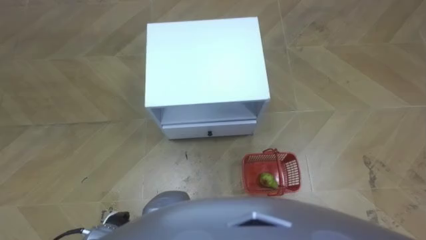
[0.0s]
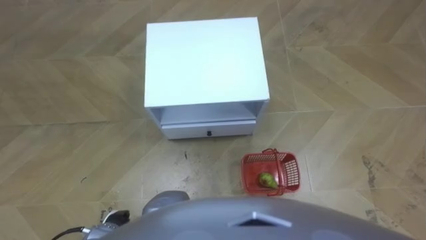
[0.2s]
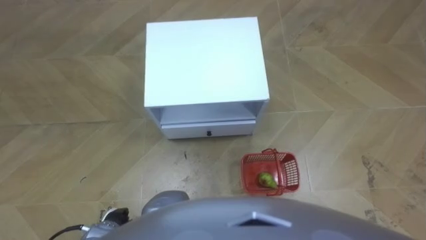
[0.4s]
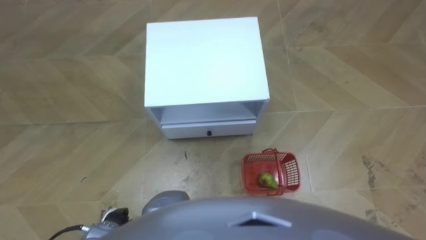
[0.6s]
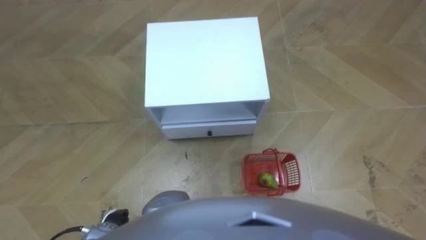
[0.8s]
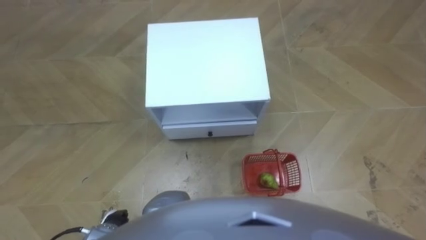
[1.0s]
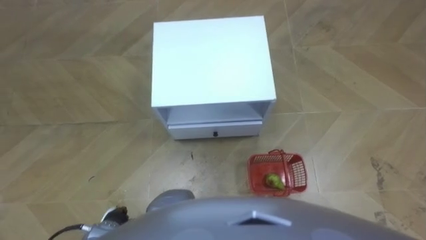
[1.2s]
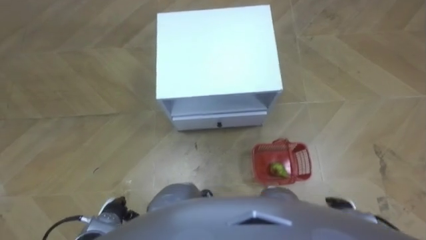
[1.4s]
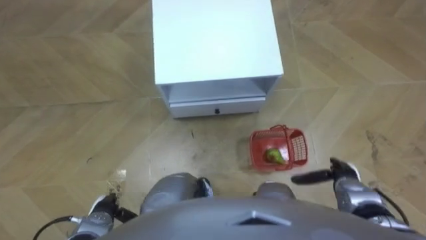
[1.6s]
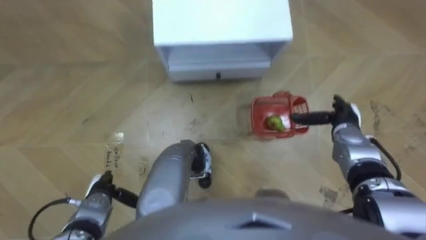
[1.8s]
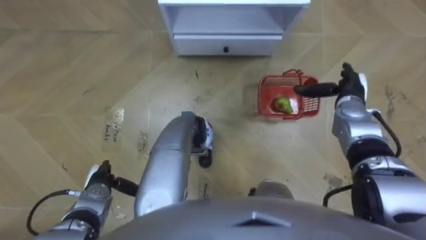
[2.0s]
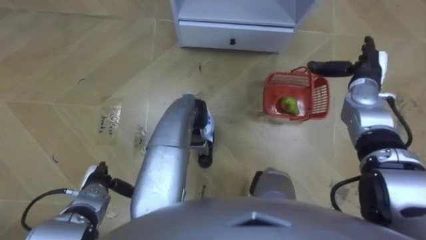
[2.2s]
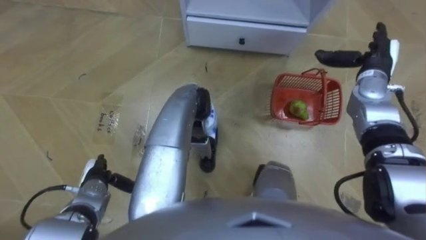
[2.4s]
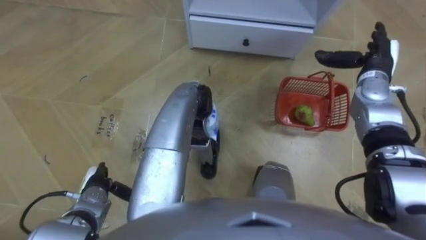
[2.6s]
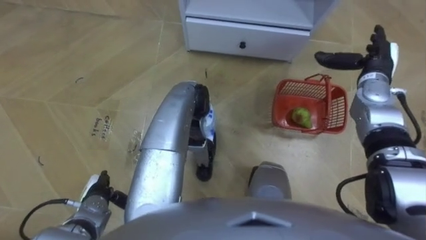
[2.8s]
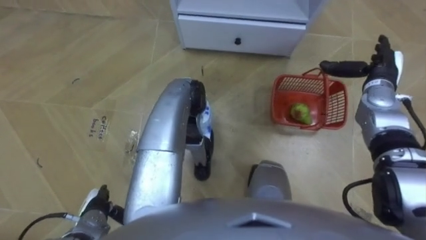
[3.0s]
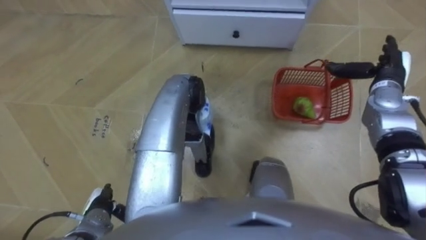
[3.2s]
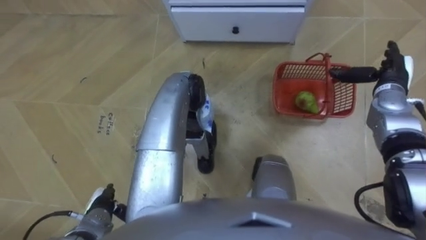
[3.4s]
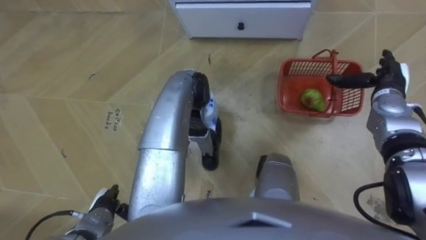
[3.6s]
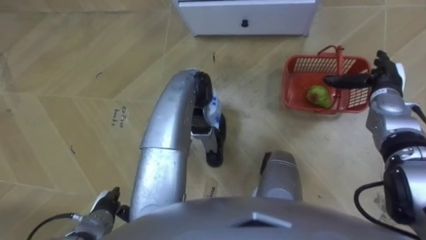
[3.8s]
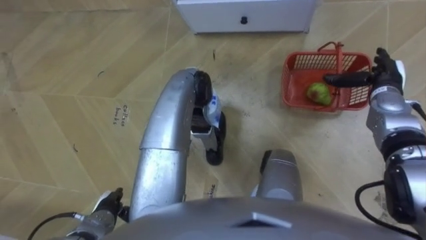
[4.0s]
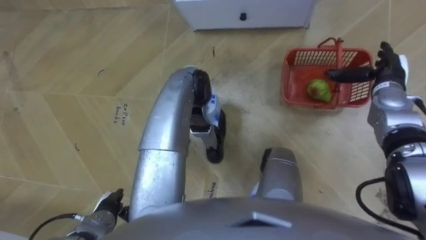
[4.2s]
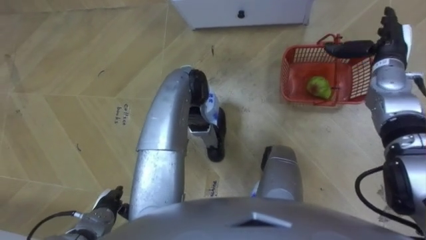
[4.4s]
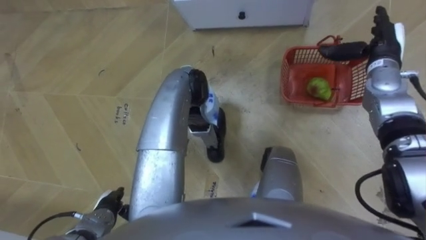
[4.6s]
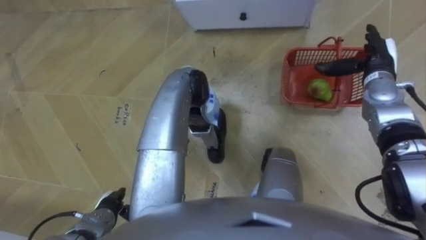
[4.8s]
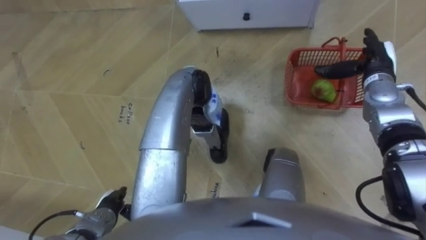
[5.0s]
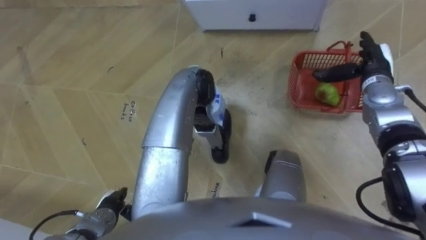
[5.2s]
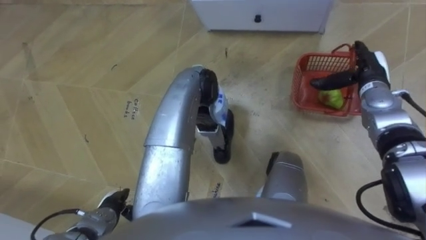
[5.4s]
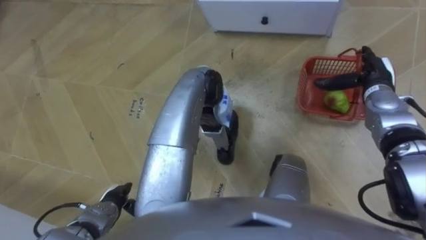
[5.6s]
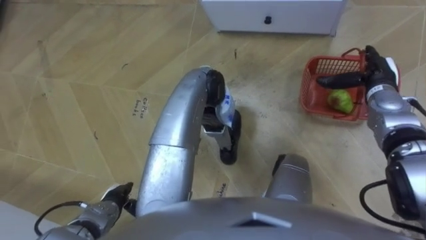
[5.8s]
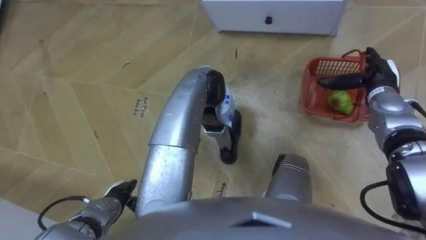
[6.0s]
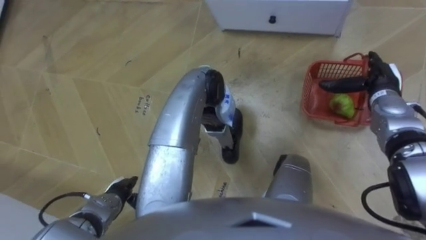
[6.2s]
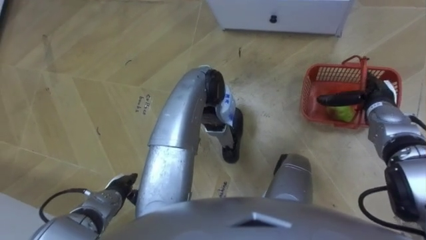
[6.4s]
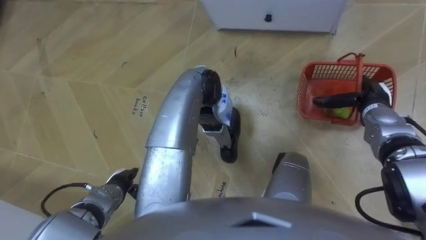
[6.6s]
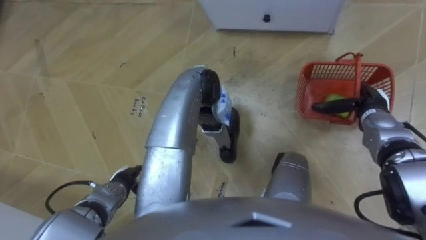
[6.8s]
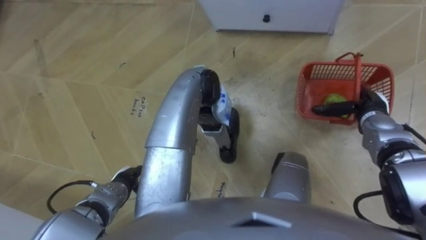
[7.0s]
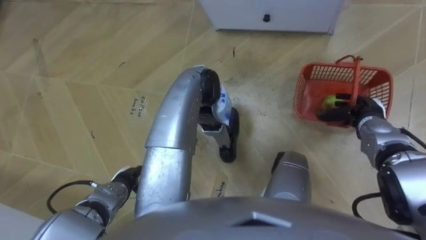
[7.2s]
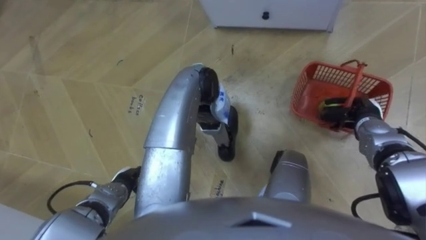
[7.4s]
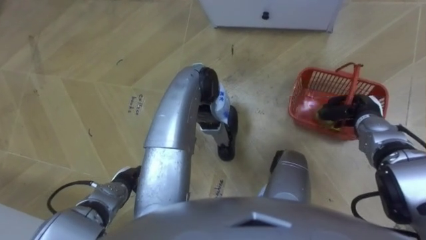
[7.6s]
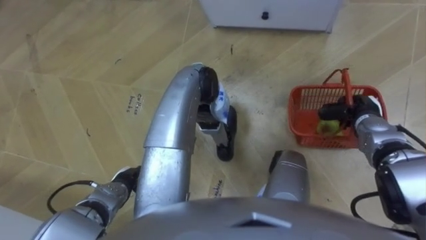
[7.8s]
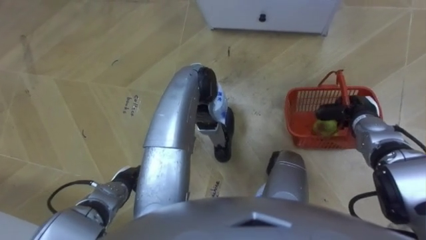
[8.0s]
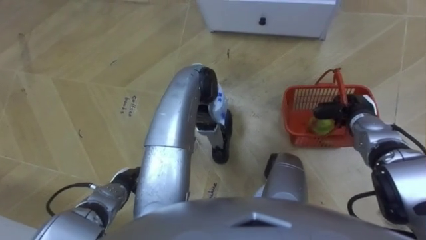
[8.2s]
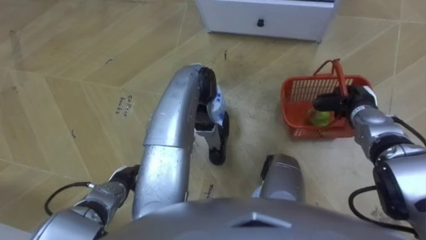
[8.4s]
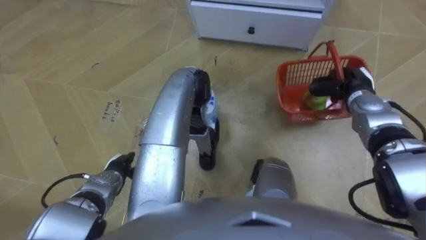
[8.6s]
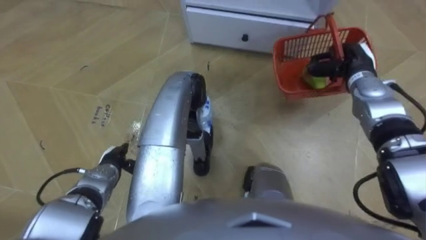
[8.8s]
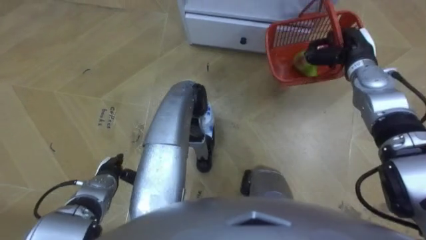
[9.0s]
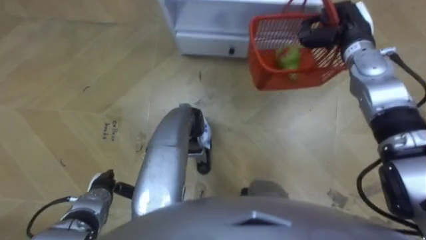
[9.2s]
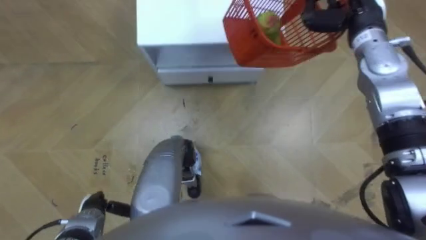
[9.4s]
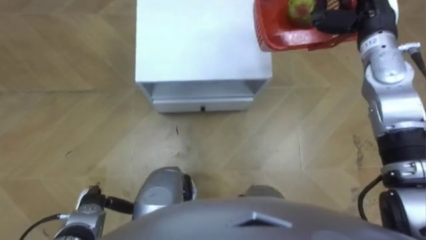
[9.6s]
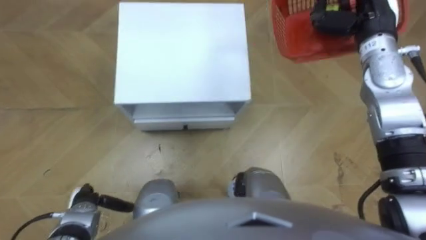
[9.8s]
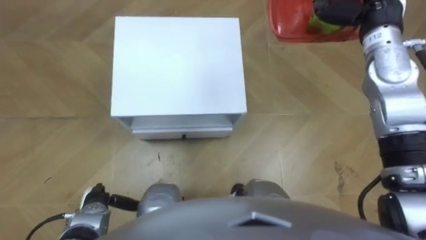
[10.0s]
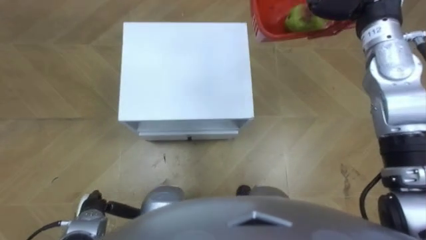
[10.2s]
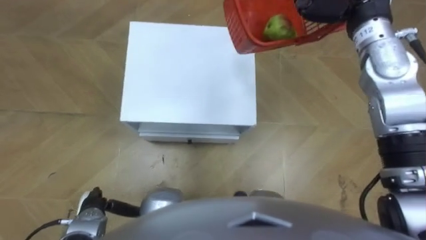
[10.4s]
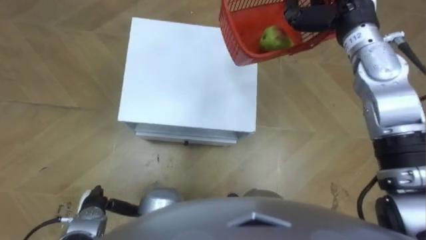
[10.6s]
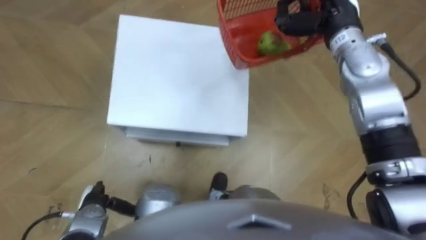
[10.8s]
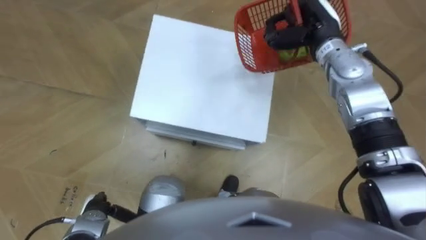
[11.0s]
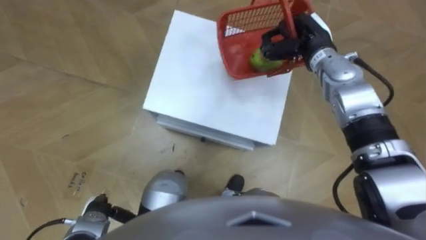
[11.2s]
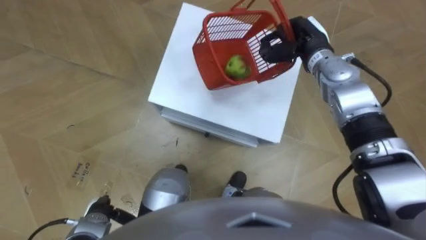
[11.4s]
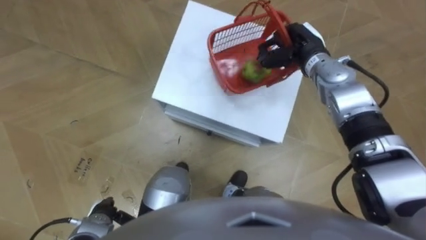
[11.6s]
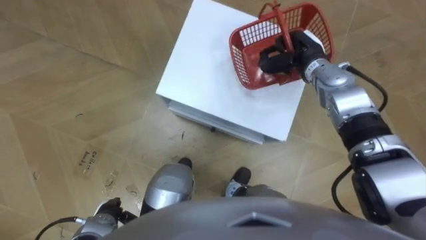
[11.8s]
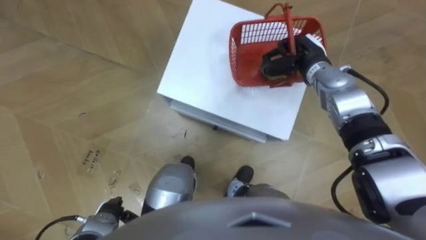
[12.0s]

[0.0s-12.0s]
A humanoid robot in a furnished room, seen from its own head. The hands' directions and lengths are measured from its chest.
Task of the whole recording: Pick up the fruit basket from the floor and place it on the cabinet.
1.6s to 3.0s: The right hand is displaced forward and upward by roughly 25 cm. Meanwhile the left hand moves approximately 10 cm forward and comes back.
4.4s to 6.0s: The right hand shifts approximately 5 cm downward.
6.0s to 7.6s: The right hand moves backward and downward, approximately 5 cm, and closes up.
7.6s to 9.0s: The right hand heads forward and upward, covering about 15 cm.
9.0s to 10.4s: The left hand heads backward, covering some 10 cm.

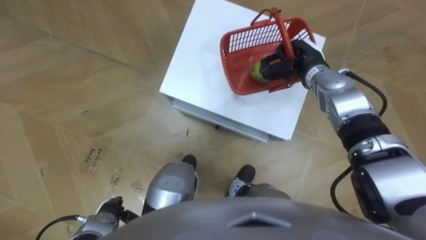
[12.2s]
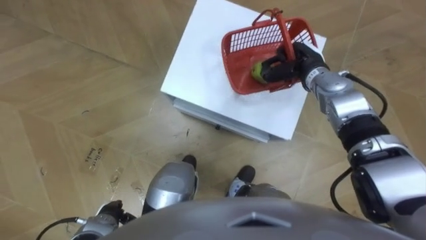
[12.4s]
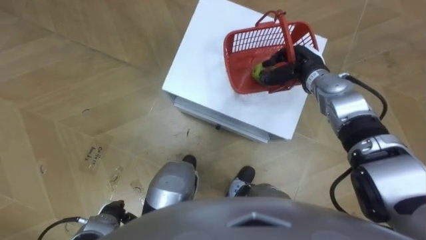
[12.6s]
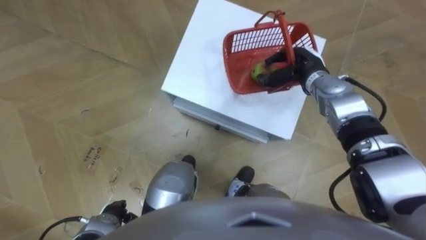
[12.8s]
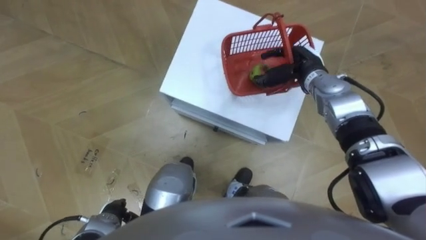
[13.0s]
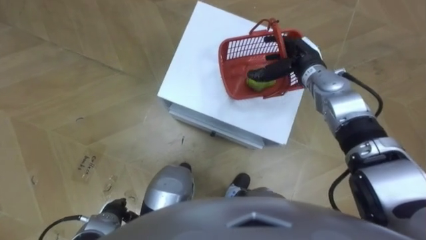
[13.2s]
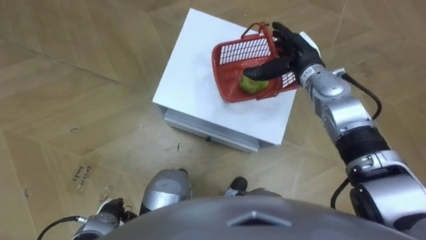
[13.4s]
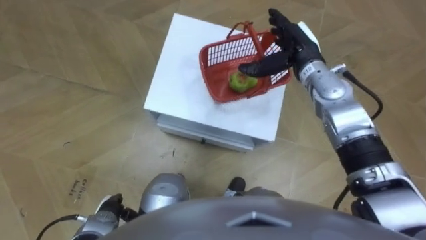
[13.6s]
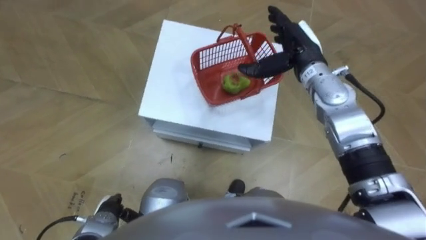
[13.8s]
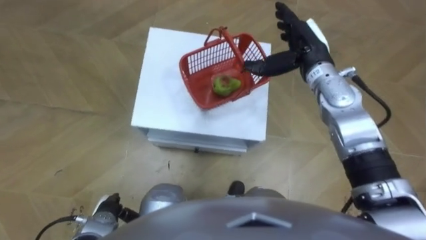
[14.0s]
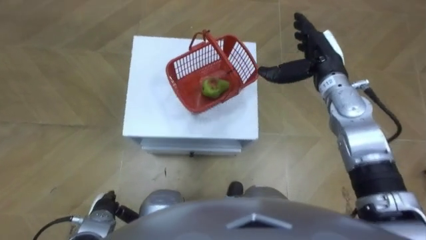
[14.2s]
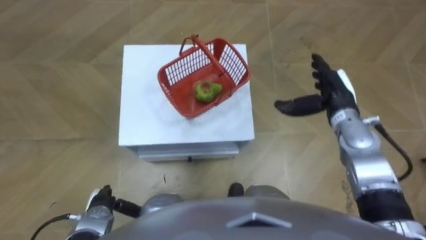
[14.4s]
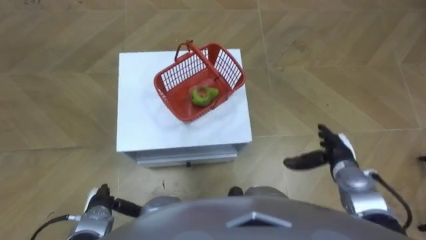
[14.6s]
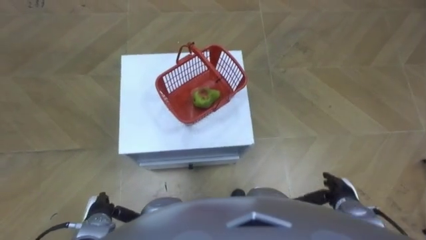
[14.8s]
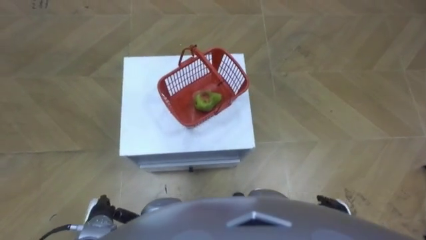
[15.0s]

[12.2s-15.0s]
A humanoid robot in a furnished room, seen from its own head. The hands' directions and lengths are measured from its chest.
Task of the whole recording: Pick up the fruit basket from the floor and place it on the cabinet.
12.2s to 13.6s: The right hand moves some 5 cm, and opens its fingers.
13.6s to 15.0s: The right hand shifts about 35 cm backward and downward.

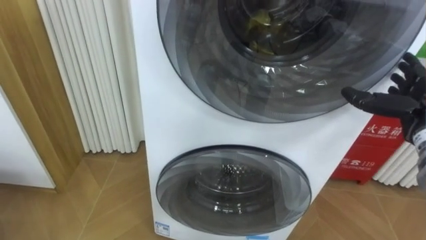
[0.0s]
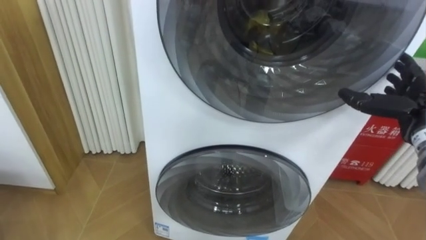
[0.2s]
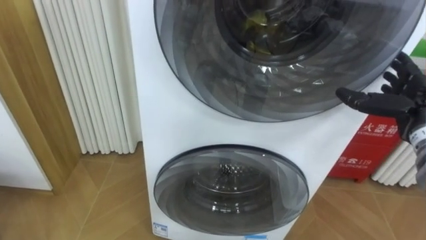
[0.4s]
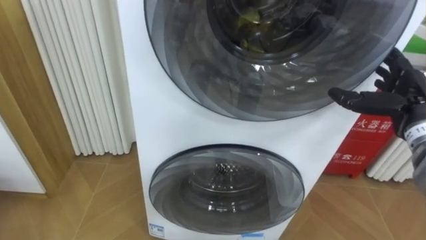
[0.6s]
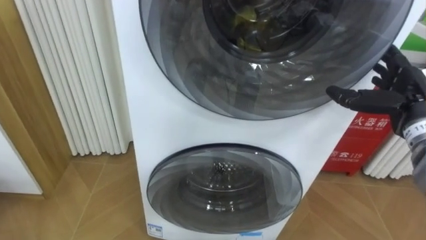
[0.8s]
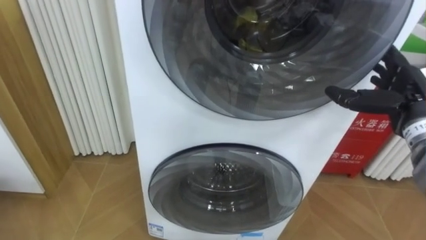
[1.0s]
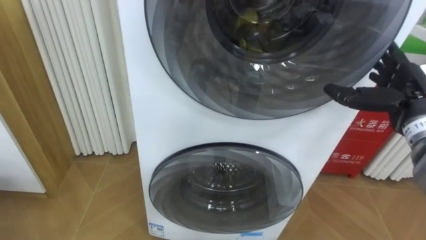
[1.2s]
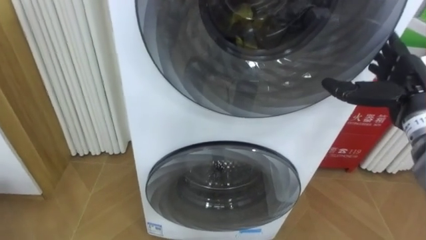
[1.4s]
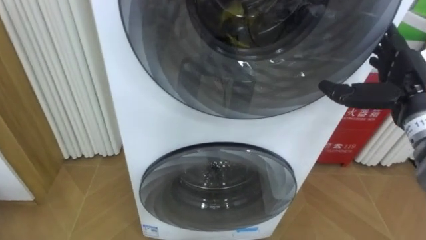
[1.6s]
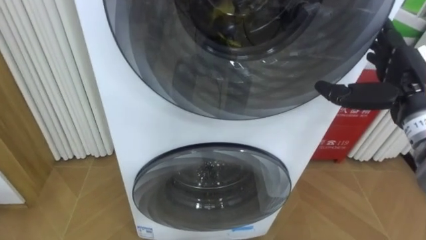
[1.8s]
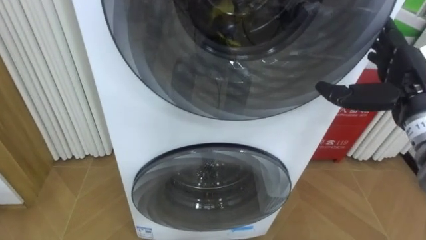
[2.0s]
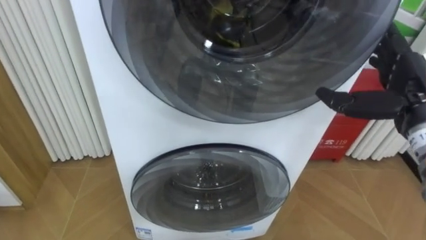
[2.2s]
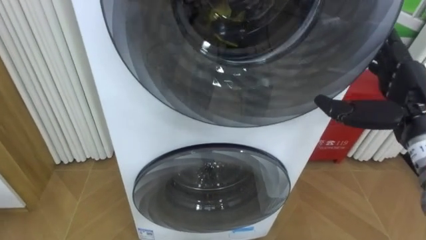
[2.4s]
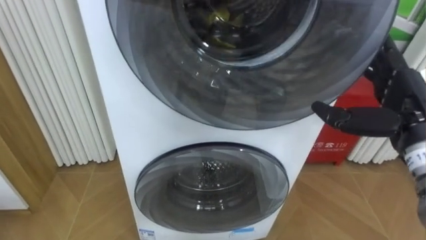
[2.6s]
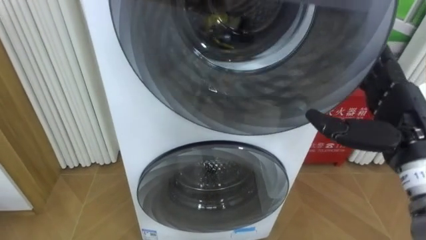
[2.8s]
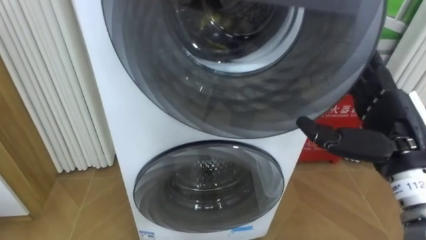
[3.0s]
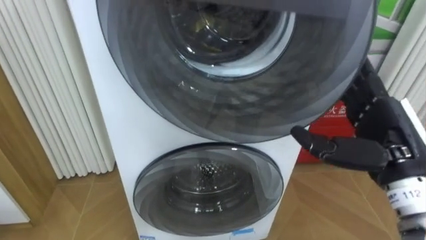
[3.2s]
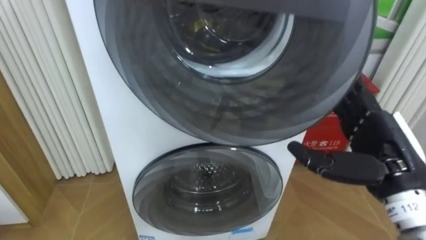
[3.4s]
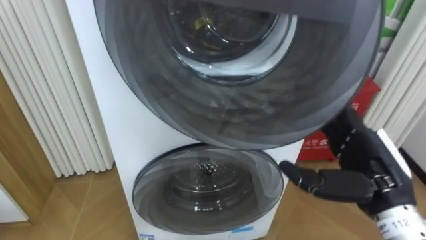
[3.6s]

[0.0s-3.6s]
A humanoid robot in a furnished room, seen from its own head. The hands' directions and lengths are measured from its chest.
Task of the whole recording: Open the washing machine door, take out the yellow clothes, place them in the box on the right, and close the washing machine door.
0.0s to 1.8s: The right hand is displaced upward and to the left by some 10 cm.
1.8s to 3.6s: The right hand moves backward, downward and to the left, some 15 cm.
